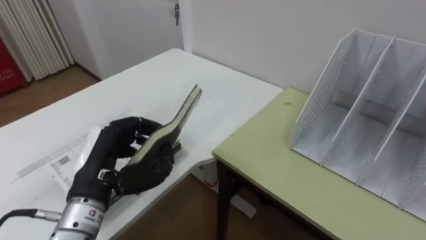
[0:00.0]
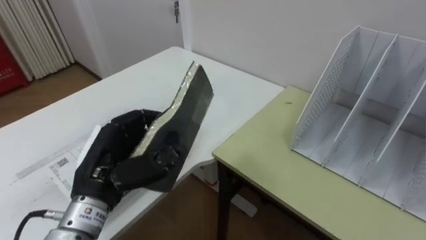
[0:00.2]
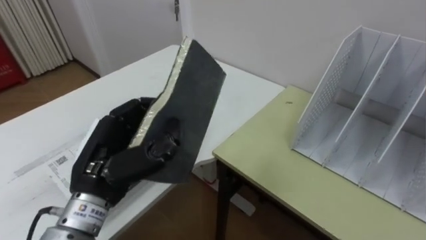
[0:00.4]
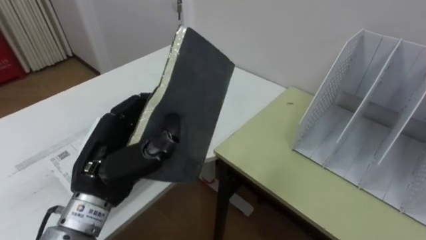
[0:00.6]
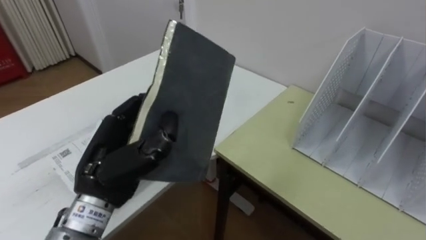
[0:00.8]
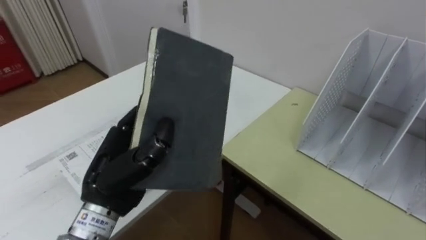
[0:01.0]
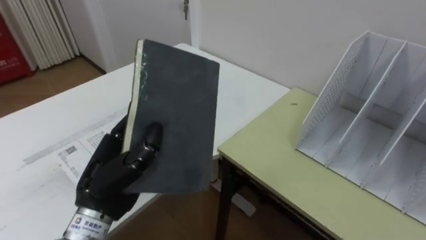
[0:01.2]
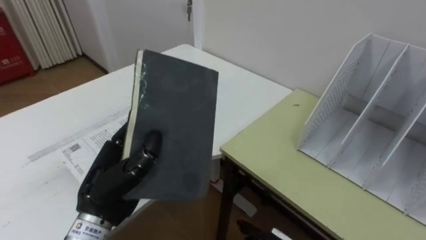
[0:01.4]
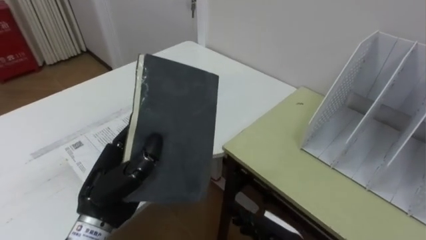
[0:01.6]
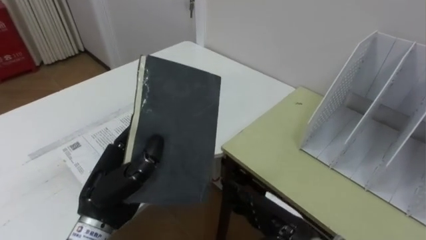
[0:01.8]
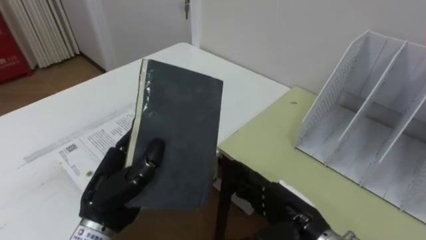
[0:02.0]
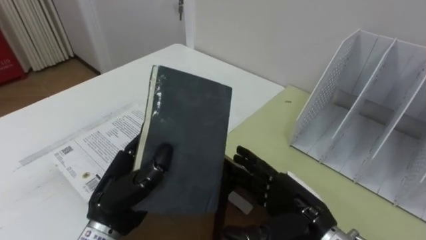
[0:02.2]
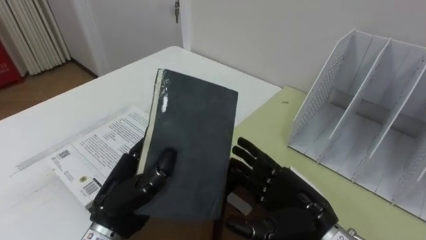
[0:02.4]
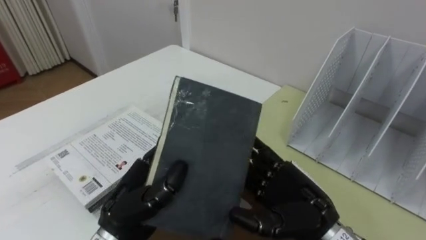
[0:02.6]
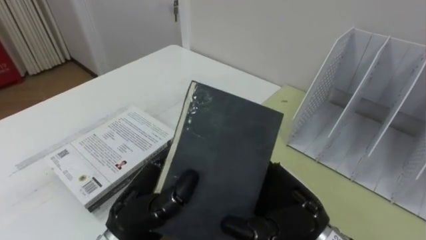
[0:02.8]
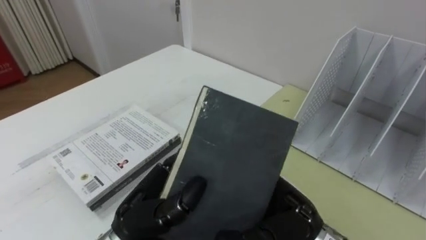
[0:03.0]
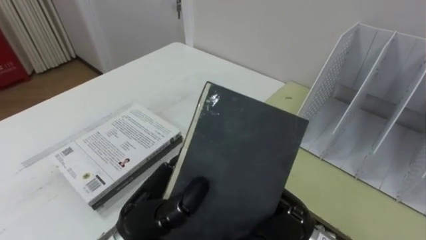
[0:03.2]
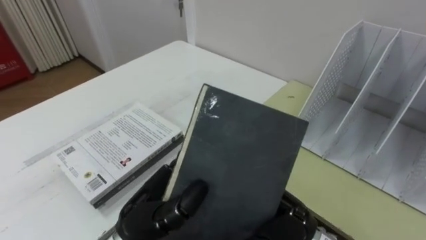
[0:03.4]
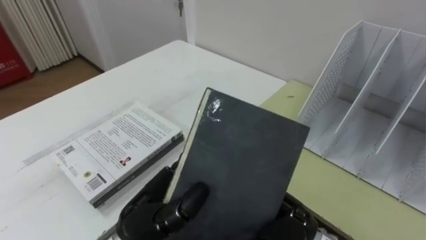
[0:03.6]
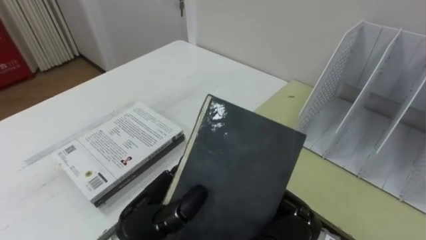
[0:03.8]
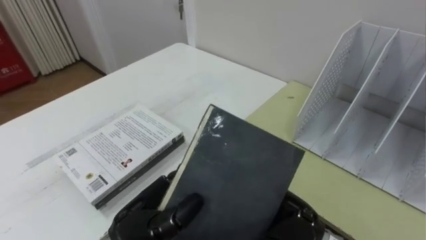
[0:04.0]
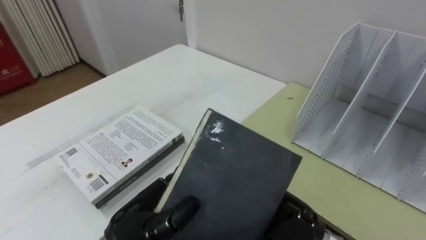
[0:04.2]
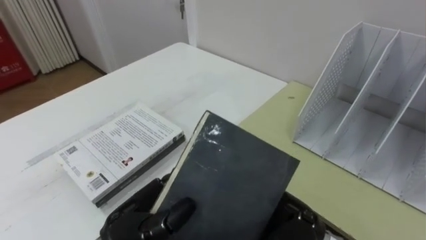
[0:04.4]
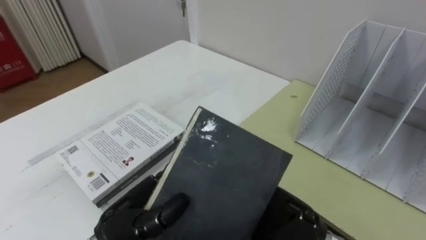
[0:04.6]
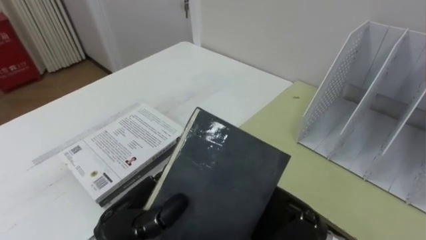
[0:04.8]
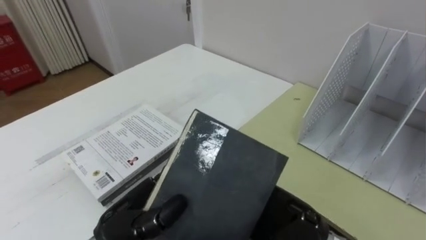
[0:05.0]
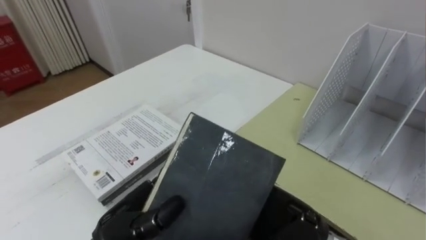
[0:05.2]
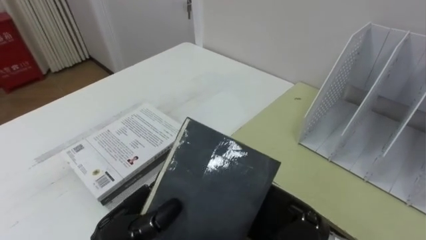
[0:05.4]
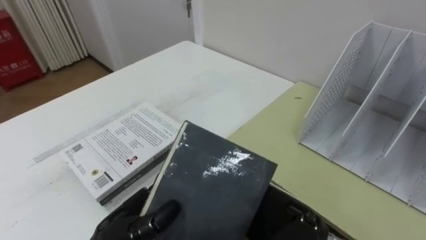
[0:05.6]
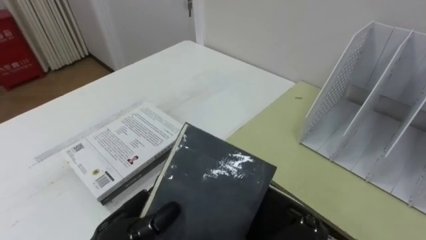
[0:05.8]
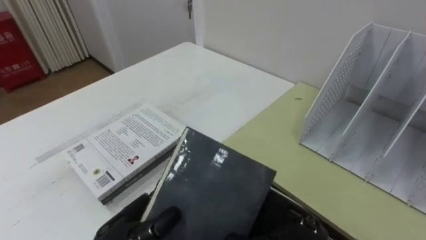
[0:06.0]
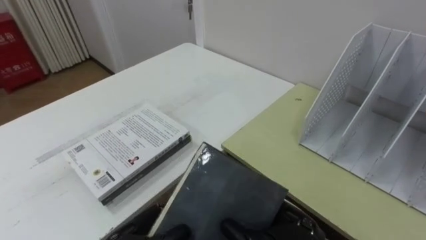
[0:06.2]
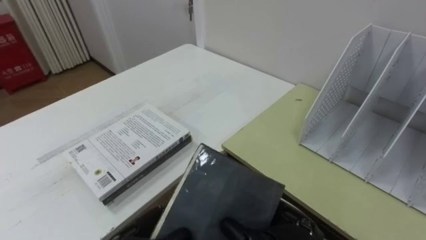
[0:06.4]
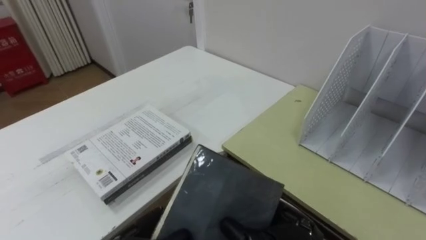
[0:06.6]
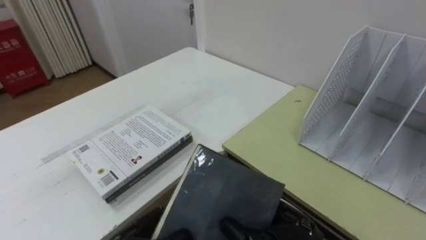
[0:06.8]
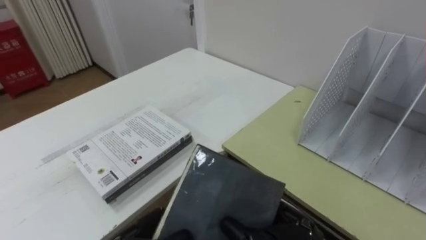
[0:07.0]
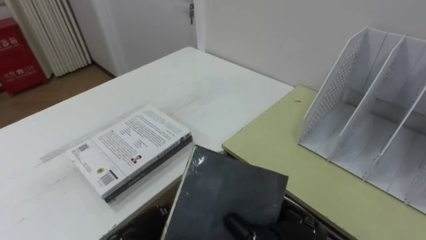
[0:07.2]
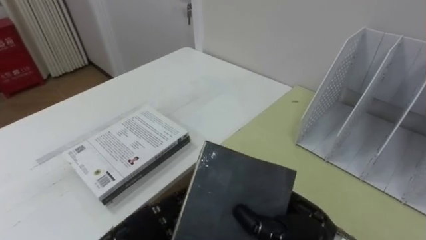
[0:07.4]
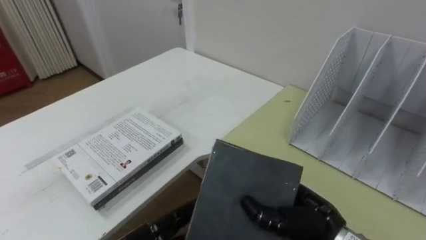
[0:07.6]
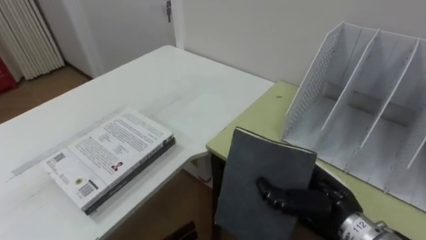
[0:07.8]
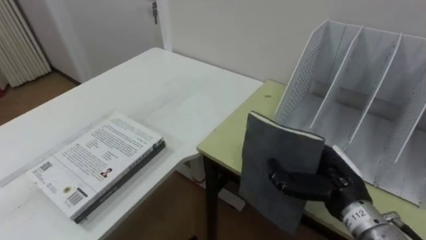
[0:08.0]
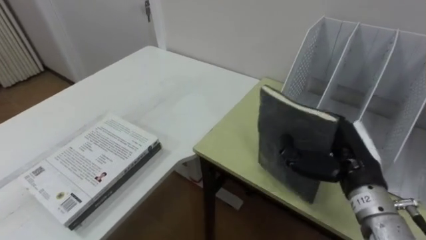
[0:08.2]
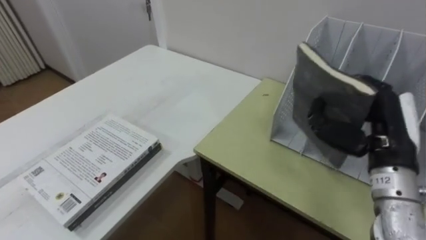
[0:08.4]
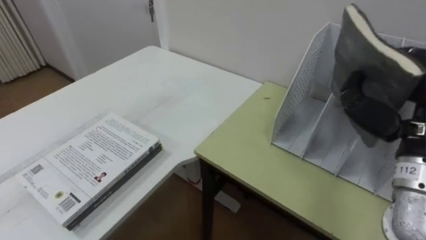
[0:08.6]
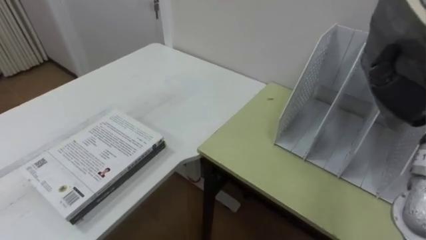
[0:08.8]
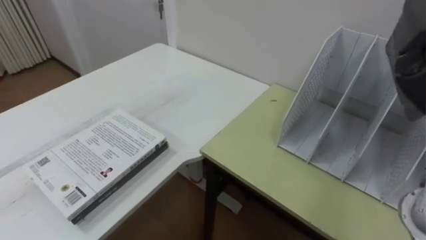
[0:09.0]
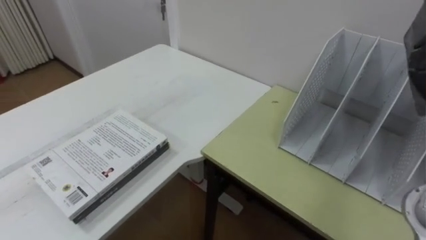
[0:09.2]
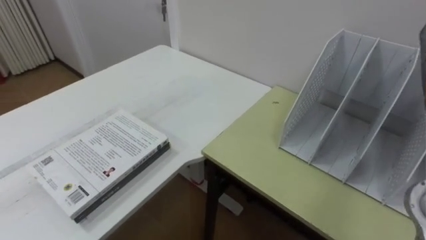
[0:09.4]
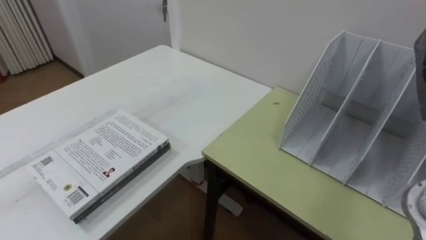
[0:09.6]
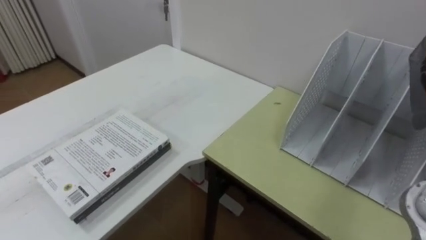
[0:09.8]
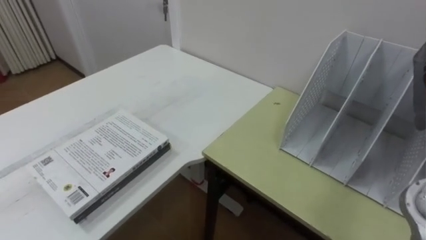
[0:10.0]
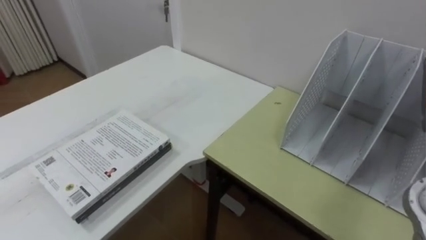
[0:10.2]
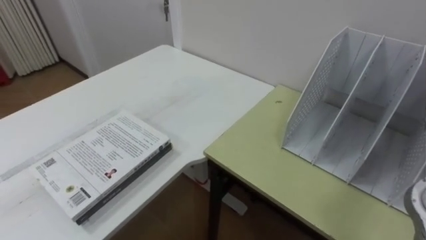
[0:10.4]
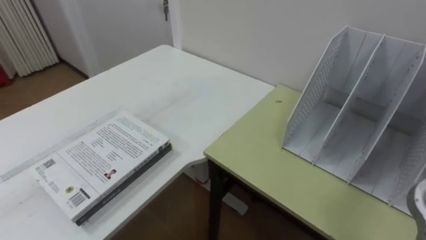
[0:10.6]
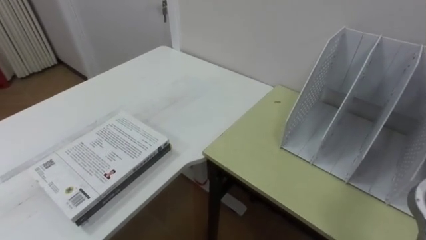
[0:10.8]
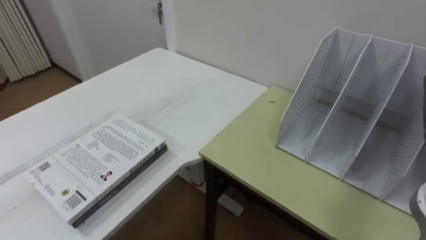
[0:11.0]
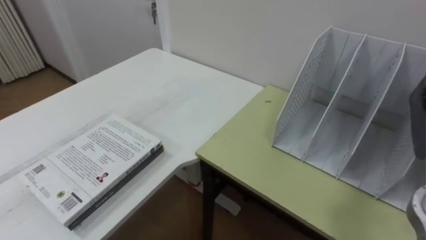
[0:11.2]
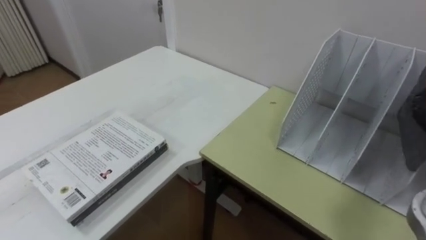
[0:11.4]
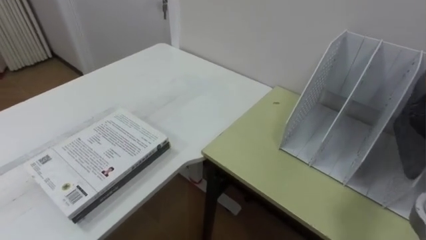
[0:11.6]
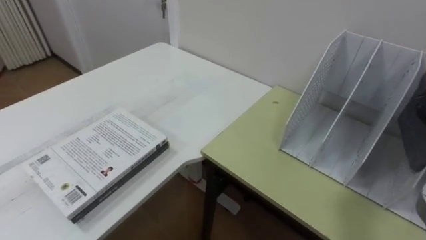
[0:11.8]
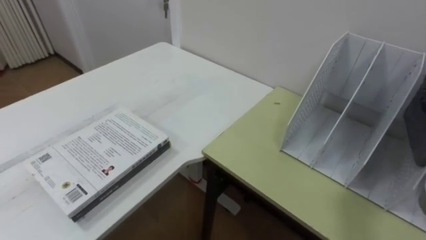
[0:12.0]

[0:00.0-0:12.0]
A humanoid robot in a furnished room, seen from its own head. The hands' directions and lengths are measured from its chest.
Task of the whole recording: Put the books on the table onto the bookshelf.
0:01.6 to 0:03.0: The left hand heads to the right, covering approximately 5 cm.
0:03.0 to 0:04.4: The hands make only small movements.
0:04.4 to 0:06.0: The hands stay close to where they were, moving slightly.
0:06.0 to 0:07.6: The right hand moves roughly 5 cm.

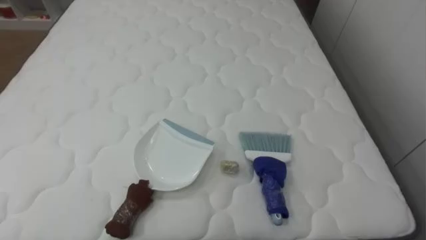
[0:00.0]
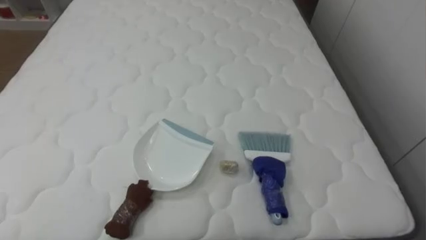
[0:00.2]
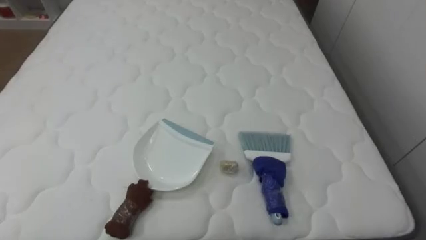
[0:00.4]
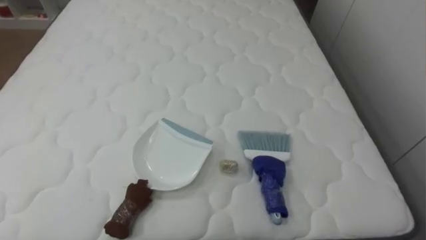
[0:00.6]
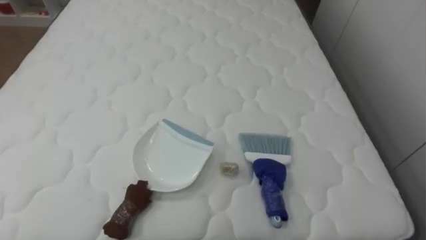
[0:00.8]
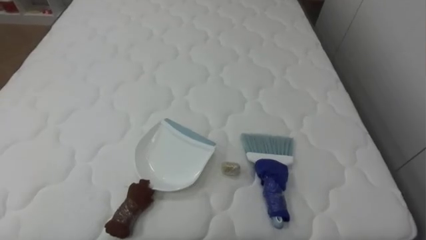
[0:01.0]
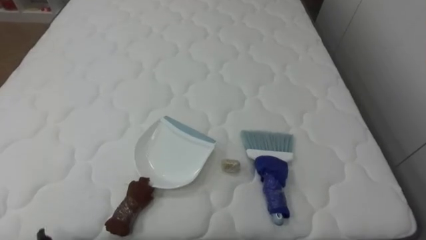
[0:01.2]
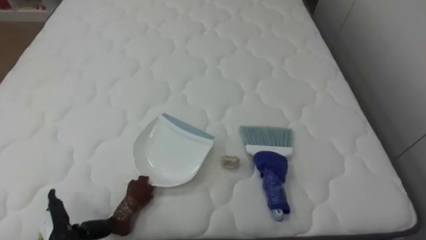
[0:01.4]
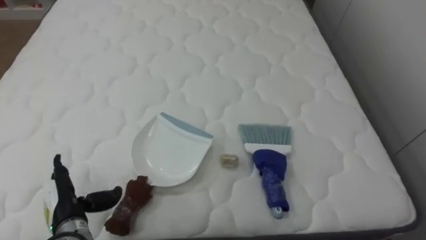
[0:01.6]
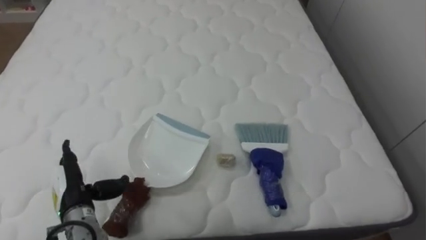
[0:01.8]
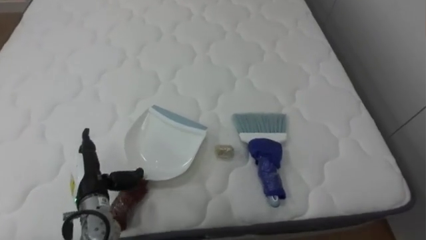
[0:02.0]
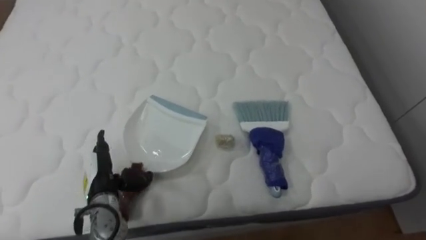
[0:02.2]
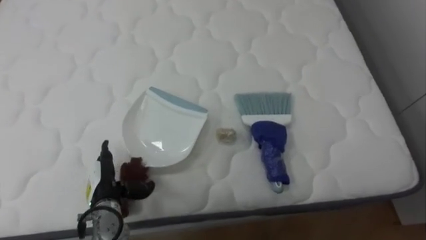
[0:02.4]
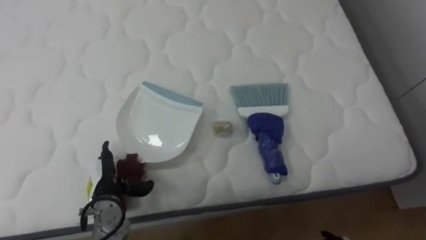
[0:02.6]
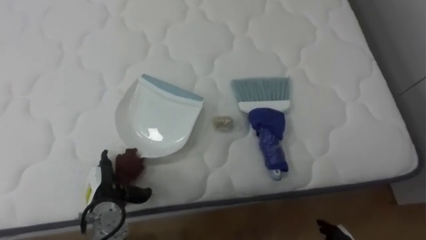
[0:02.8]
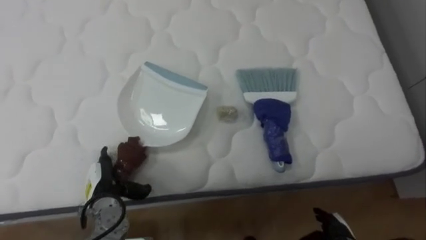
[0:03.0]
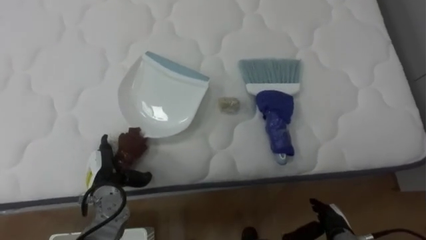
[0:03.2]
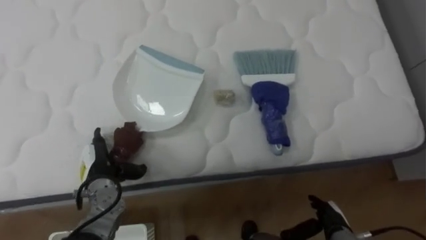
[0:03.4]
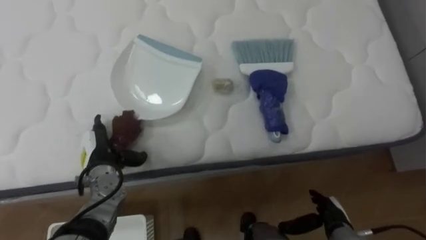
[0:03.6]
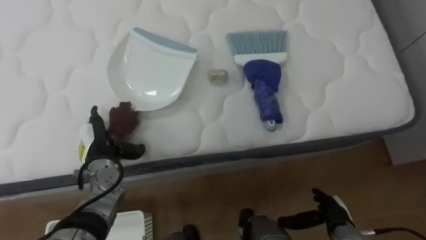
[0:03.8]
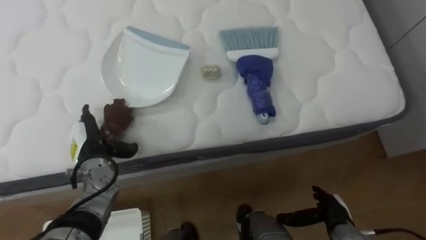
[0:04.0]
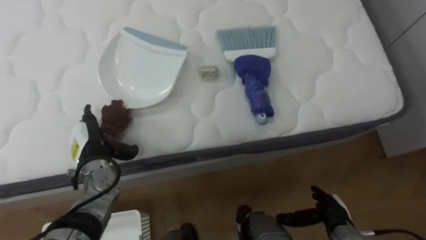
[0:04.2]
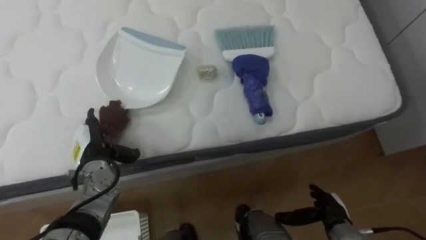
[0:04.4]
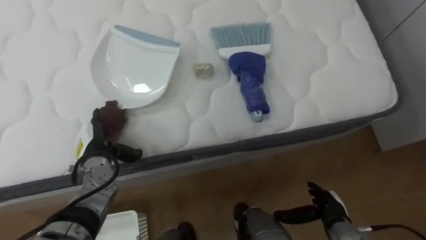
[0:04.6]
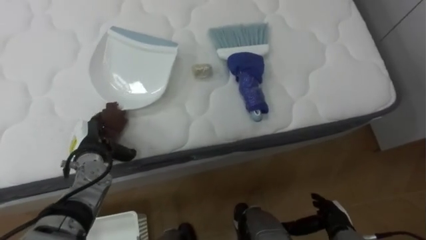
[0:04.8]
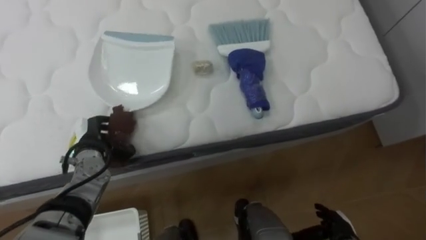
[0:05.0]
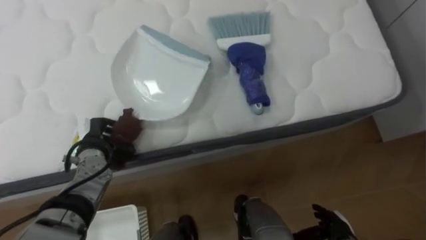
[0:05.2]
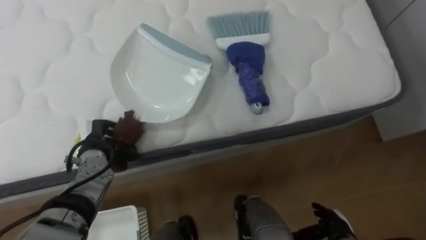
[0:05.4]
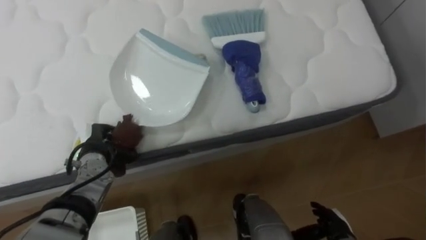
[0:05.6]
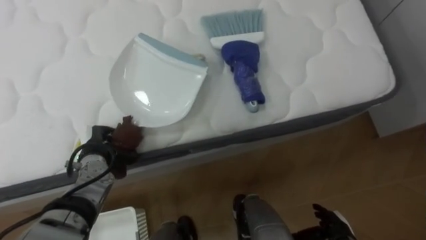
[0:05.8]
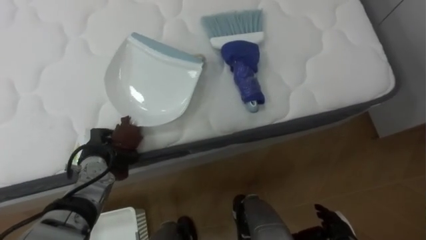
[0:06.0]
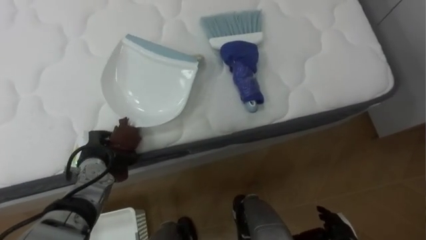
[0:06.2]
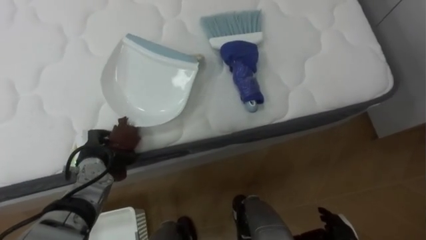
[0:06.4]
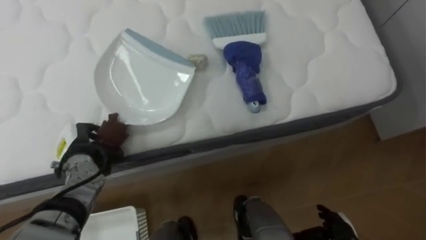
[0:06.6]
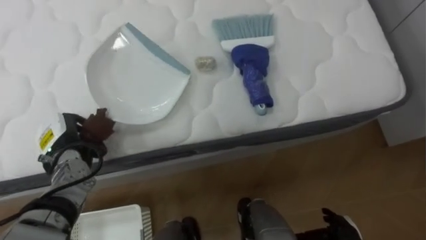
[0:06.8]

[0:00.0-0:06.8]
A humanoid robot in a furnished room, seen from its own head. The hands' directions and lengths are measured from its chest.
Task of the whole recording: Pick up the brush on your right and the dustpan on your left. Use the brush to sweep the crumpled paper on the bed into the dustpan, then turn left and empty it into the basket.
0:01.4 to 0:02.8: The left hand travels forward and to the right by approximately 10 cm.
0:02.8 to 0:04.0: The left hand shifts approximately 10 cm forward and upward.
0:04.0 to 0:05.4: The left hand closes its fingers.
0:05.4 to 0:06.8: The left hand moves roughly 5 cm.
